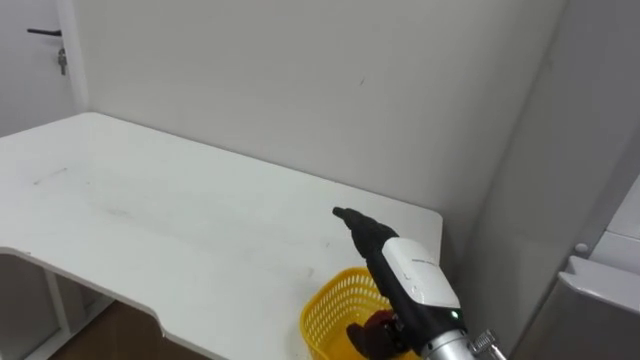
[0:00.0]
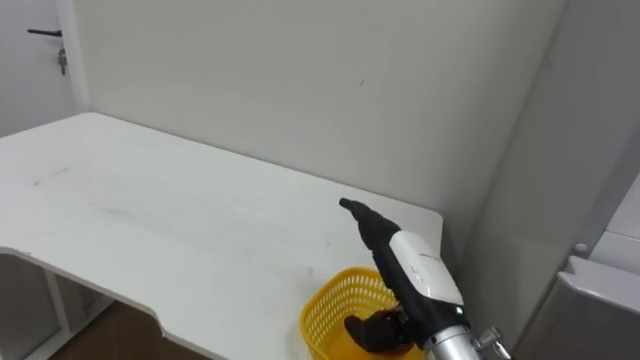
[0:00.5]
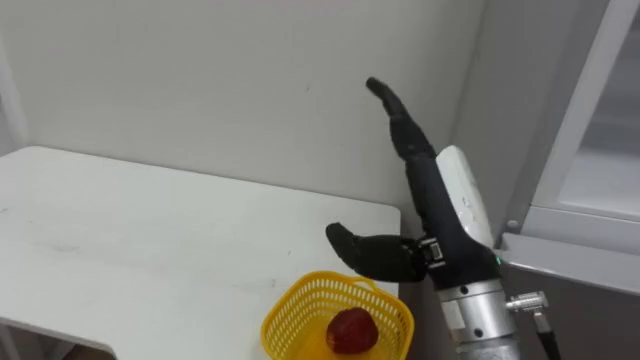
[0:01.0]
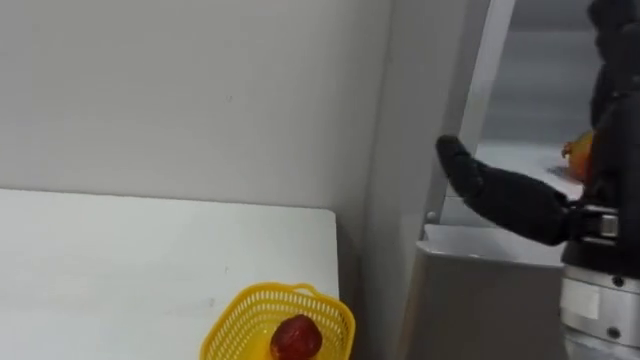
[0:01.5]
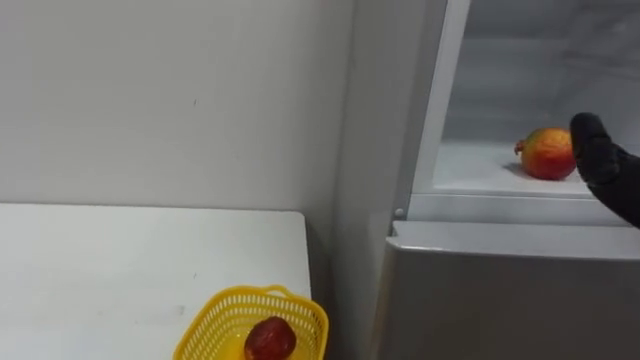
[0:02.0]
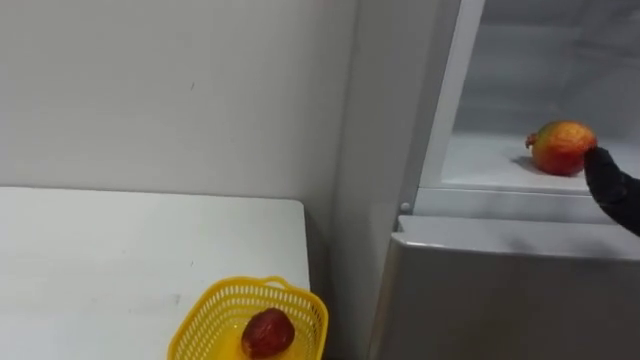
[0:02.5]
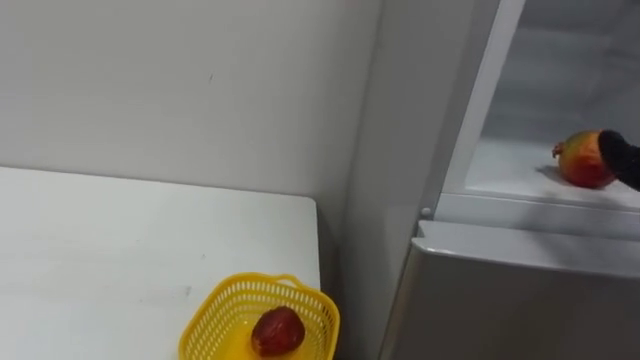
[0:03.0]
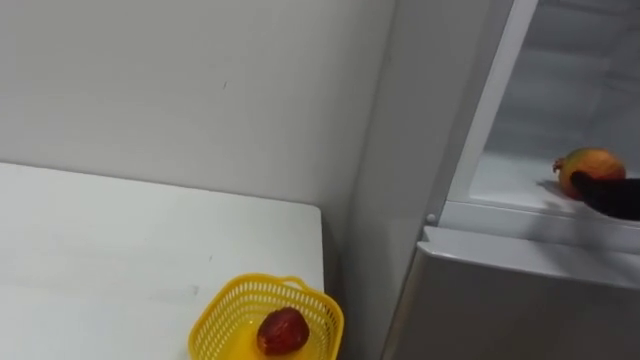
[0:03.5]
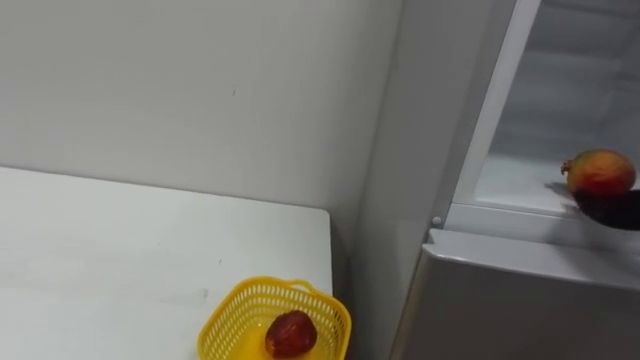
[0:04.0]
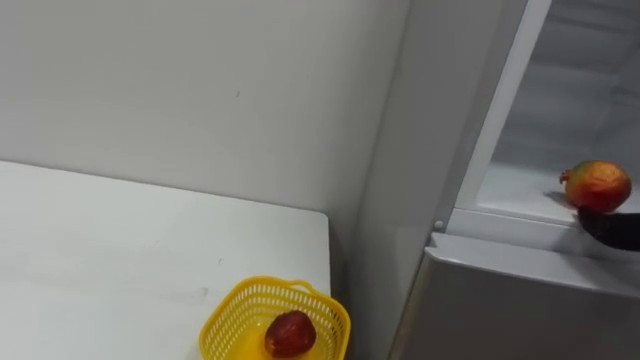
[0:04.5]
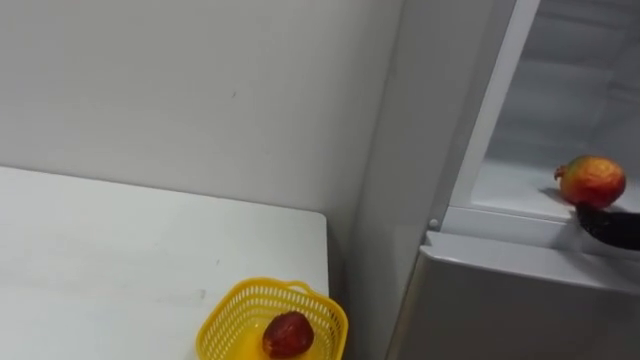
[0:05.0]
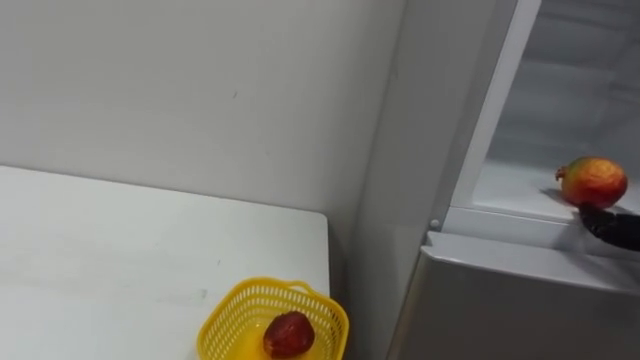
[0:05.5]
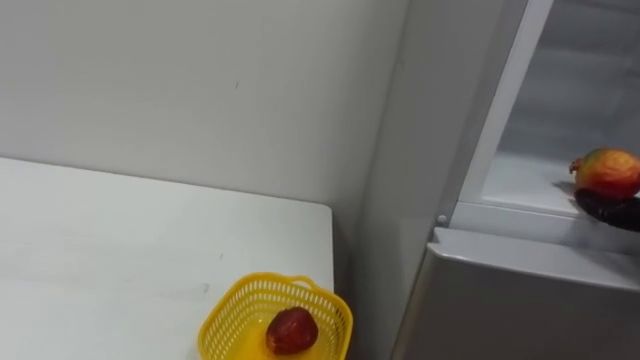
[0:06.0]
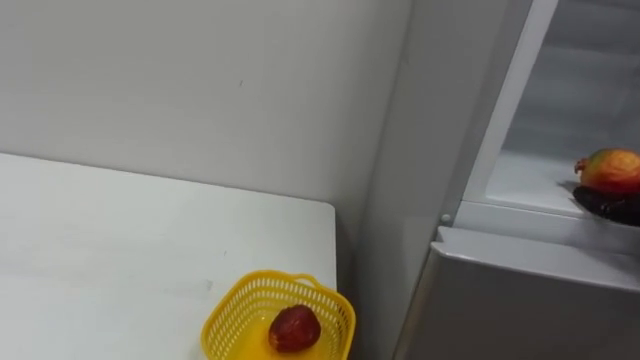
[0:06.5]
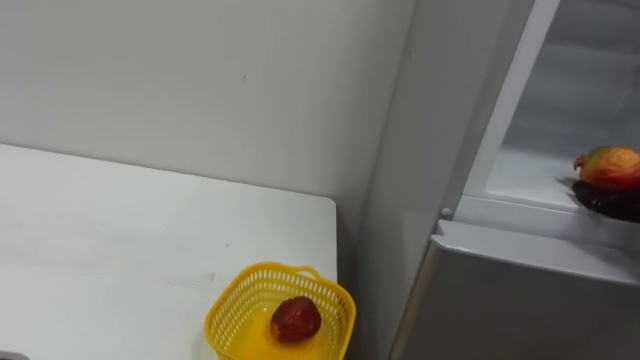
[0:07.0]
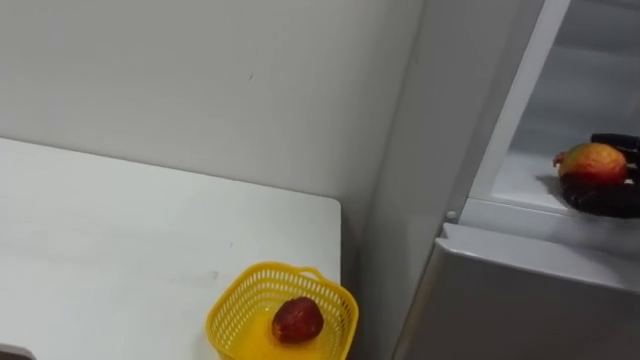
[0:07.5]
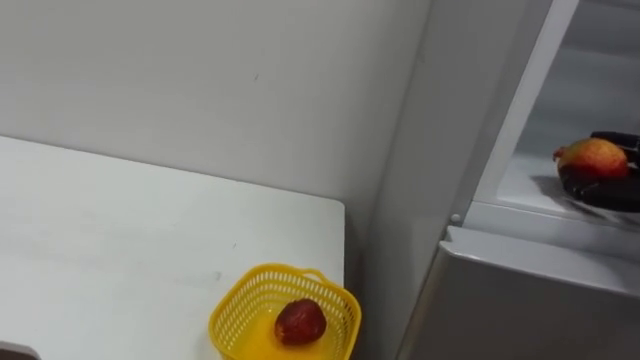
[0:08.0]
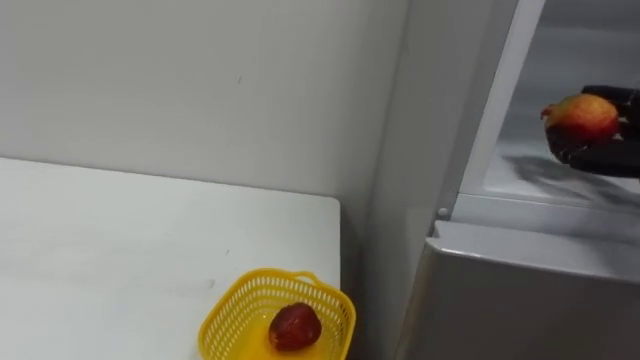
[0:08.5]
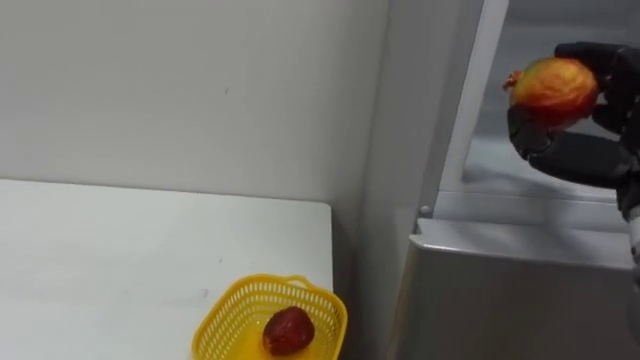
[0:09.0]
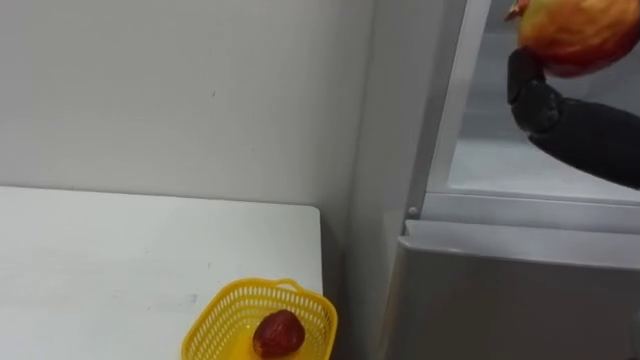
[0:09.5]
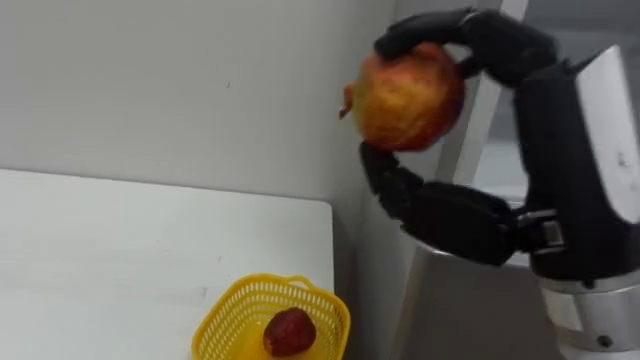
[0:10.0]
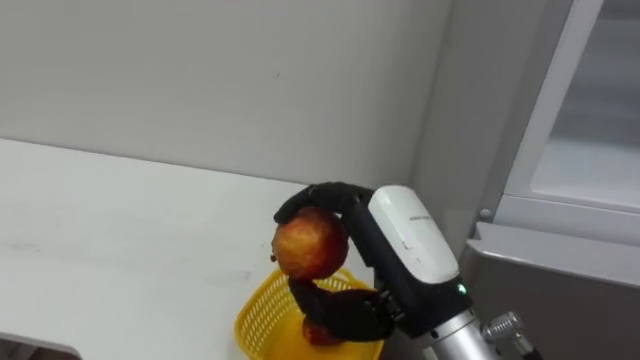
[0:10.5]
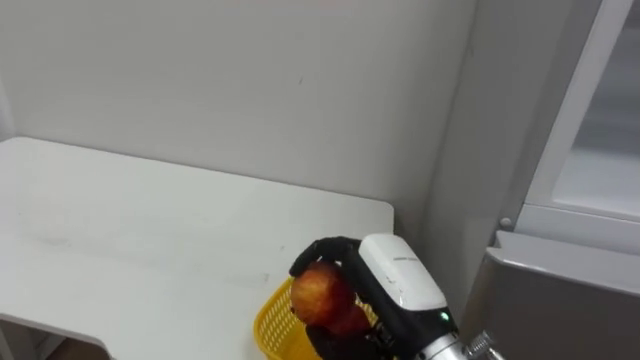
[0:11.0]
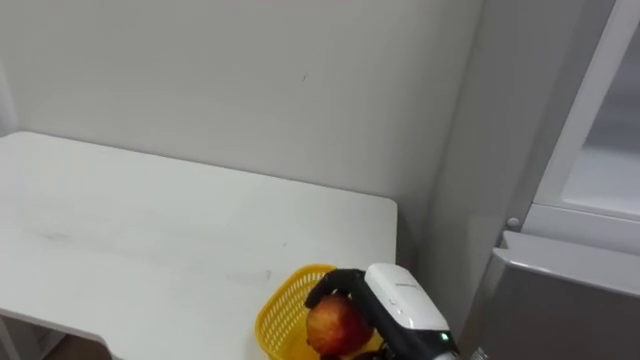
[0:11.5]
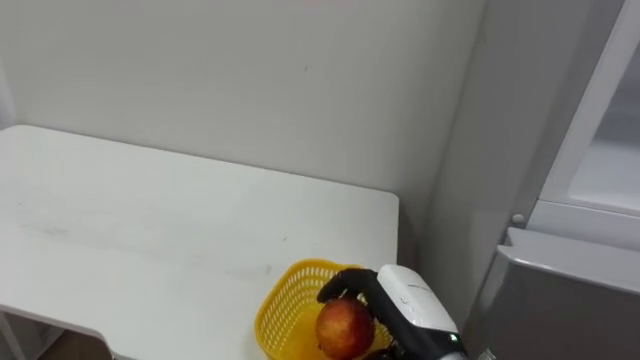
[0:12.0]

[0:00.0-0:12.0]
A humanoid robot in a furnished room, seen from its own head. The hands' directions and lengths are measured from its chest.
Task of the whole recording: Open the refrigerator door, take out the apple and the pomegranate, place them in the fruit basket on the left, and close the refrigerator door.
0:10.0 to 0:12.0: The right hand moves downward, about 25 cm.

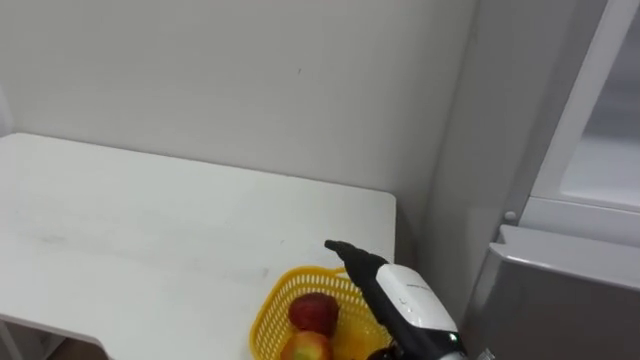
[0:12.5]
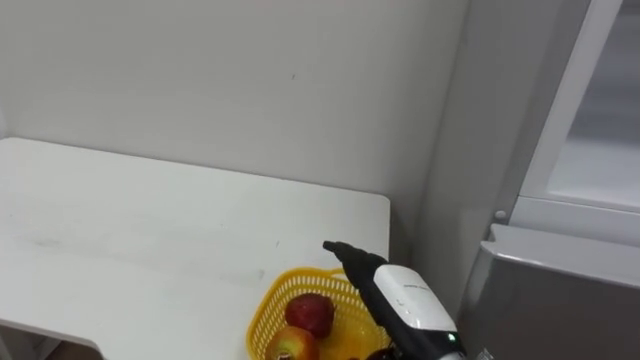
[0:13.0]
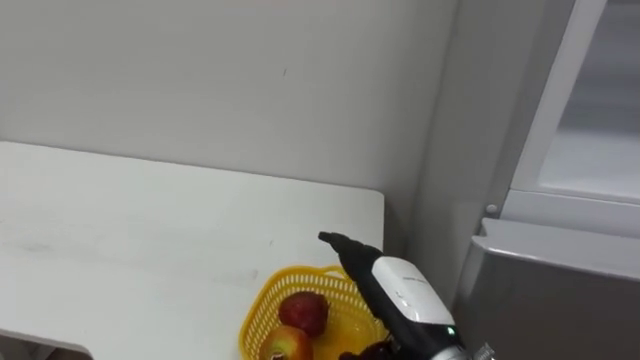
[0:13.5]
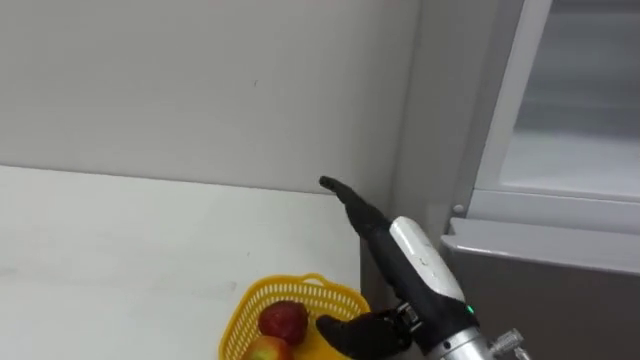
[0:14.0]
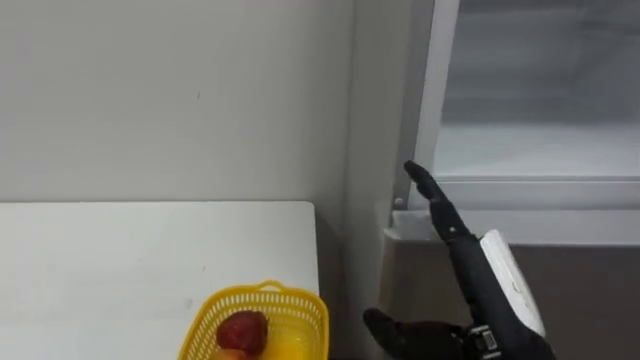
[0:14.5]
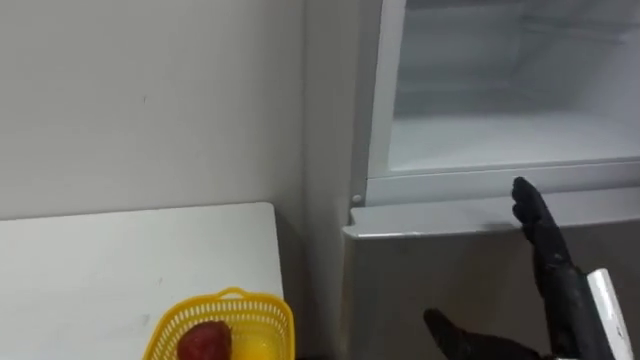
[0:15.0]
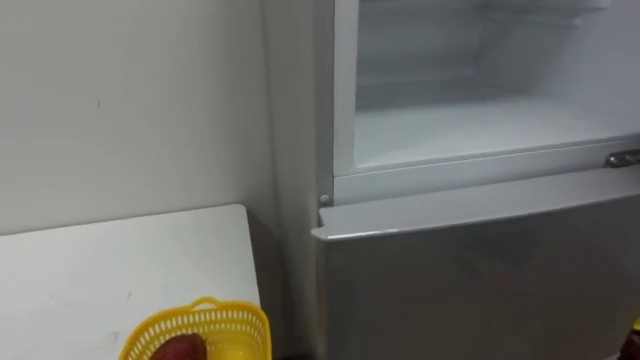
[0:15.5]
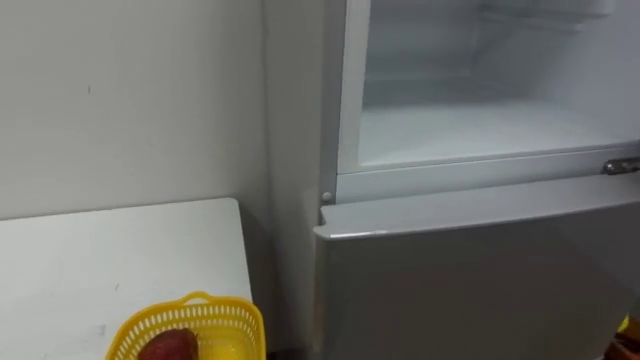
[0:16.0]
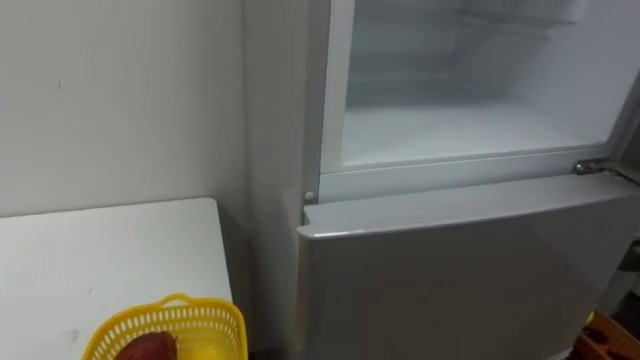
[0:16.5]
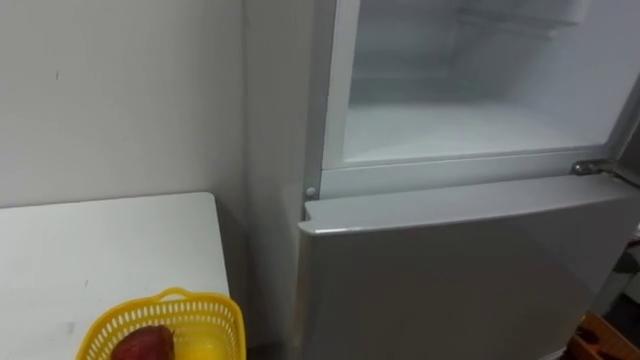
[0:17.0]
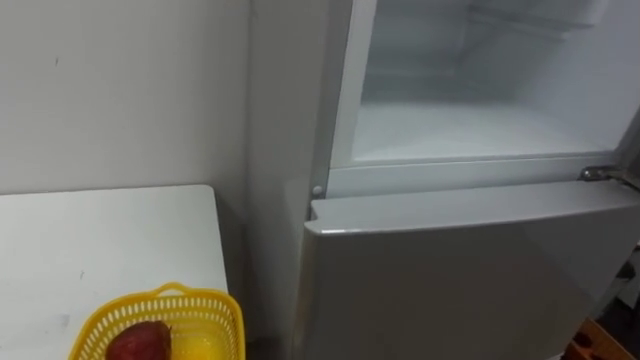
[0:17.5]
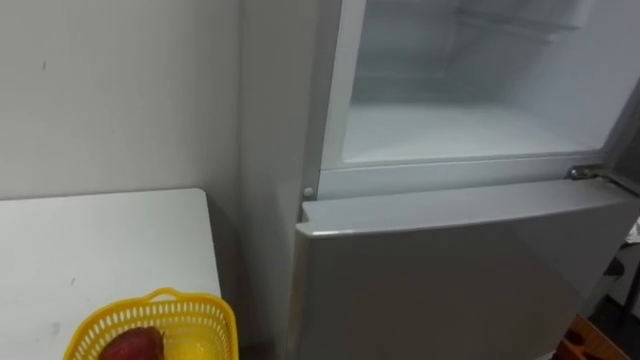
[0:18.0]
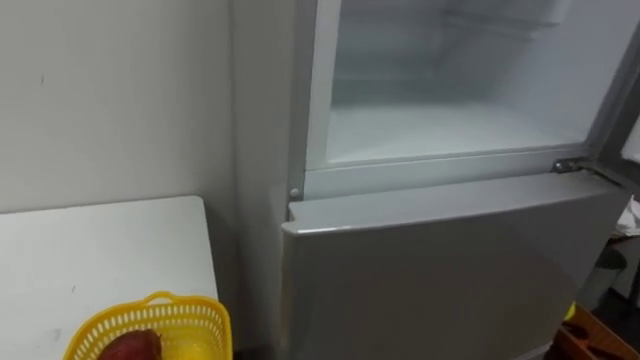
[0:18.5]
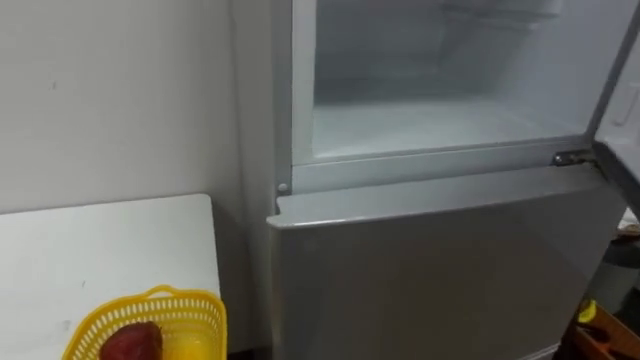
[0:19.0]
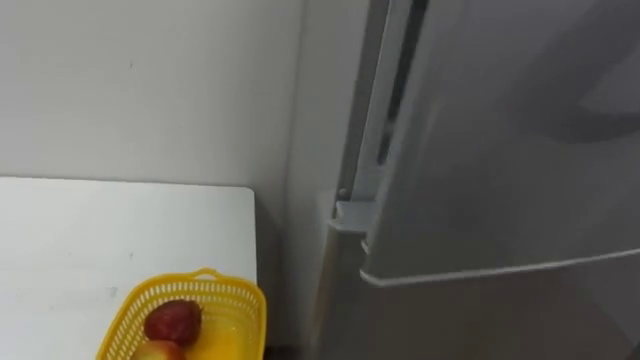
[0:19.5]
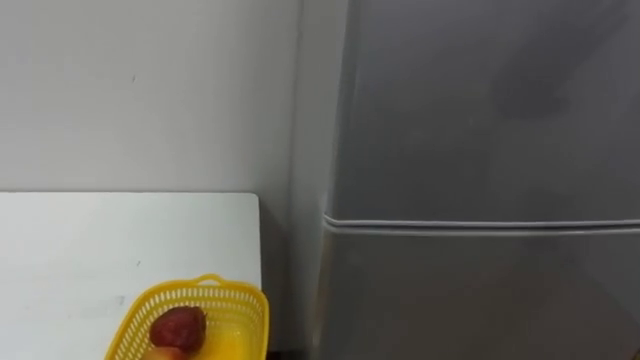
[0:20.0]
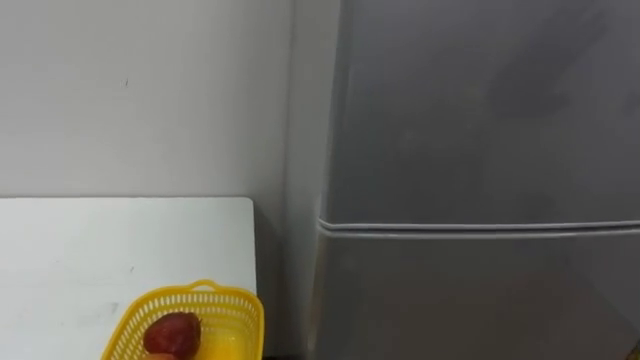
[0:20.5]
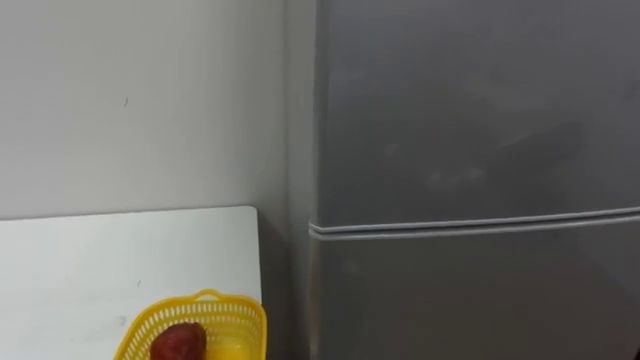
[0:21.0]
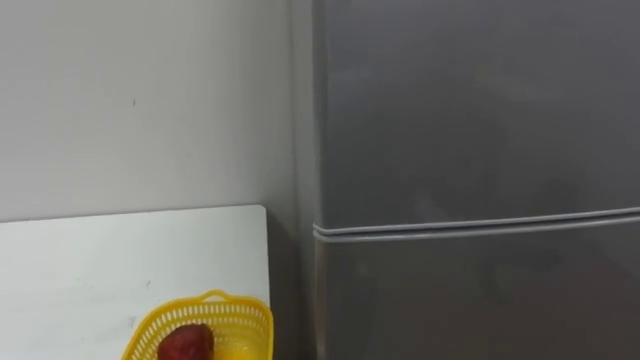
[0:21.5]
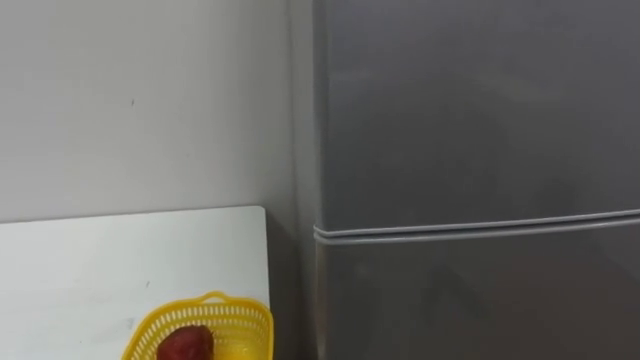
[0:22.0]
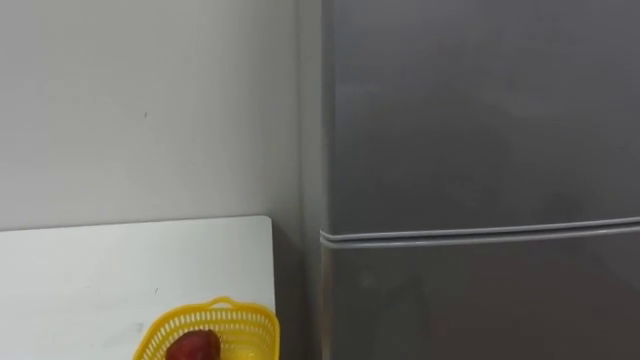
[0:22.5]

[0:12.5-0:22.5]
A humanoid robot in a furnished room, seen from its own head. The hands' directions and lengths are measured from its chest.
Task of the whole recording: Open the refrigerator door, take out the apple and the pomegranate, place them in the fruit basket on the left, and close the refrigerator door.
0:12.5 to 0:14.5: The right hand goes about 10 cm upward, to the right and backward.
